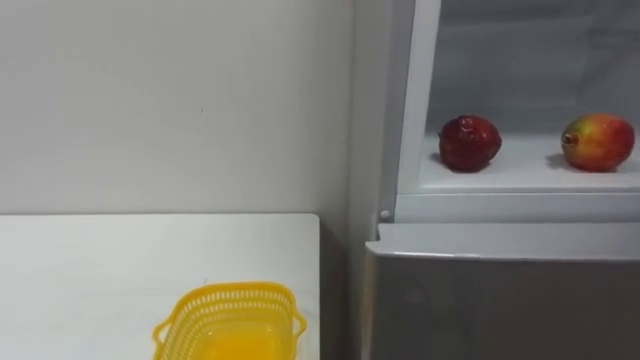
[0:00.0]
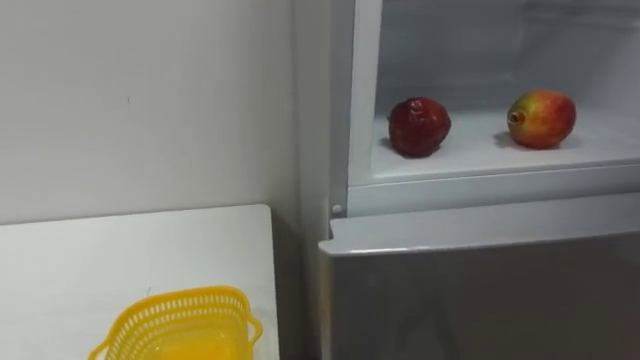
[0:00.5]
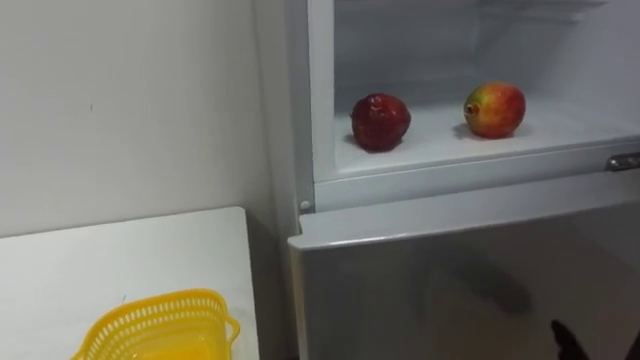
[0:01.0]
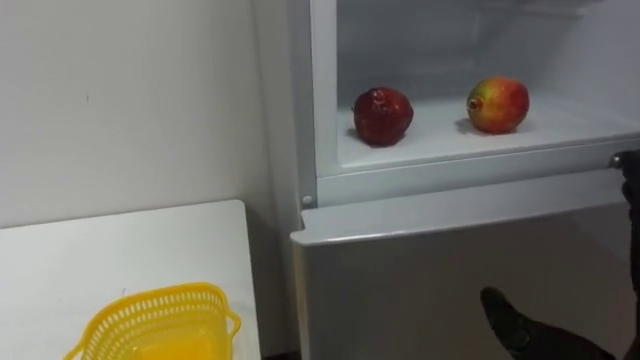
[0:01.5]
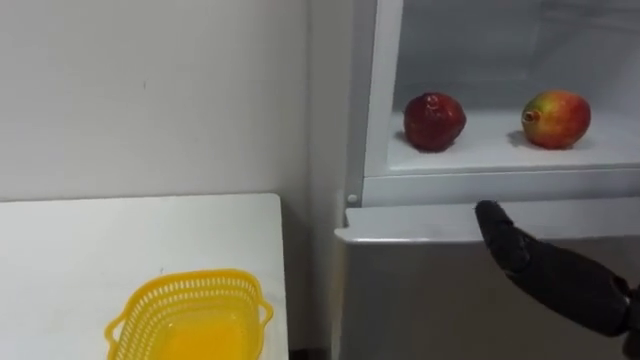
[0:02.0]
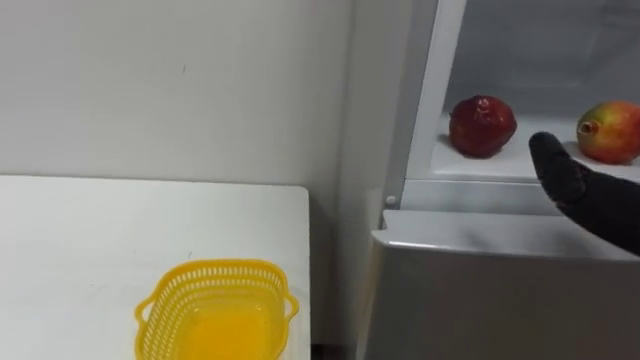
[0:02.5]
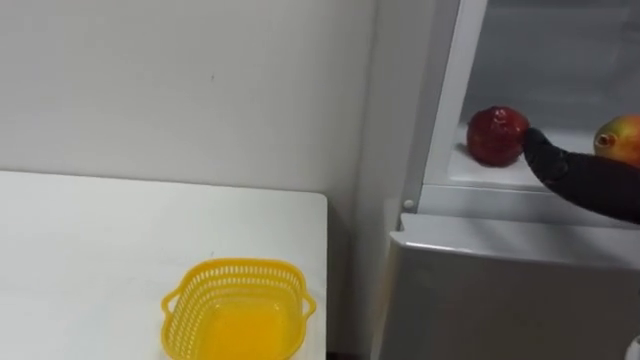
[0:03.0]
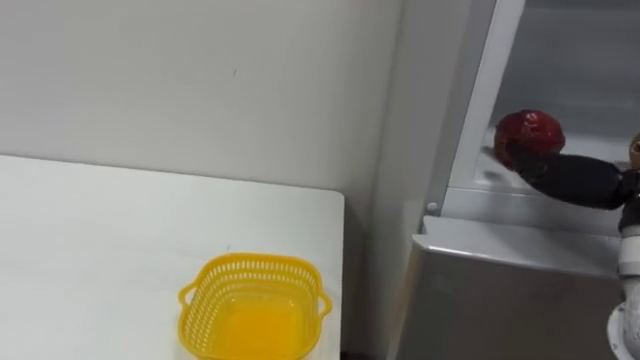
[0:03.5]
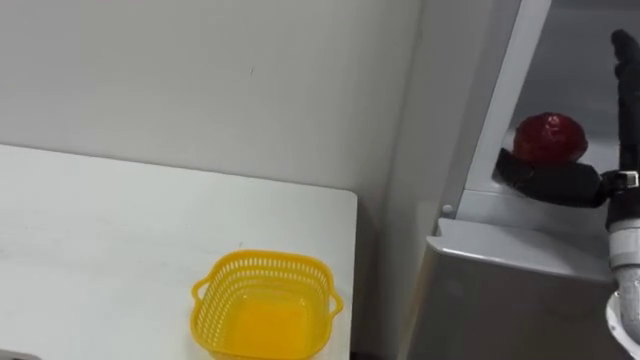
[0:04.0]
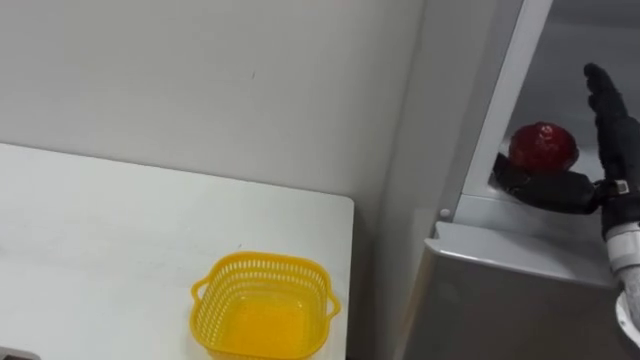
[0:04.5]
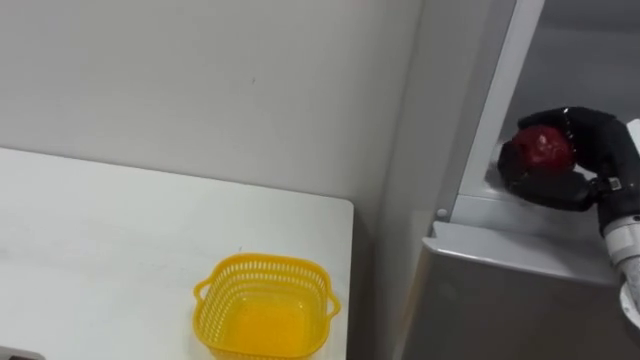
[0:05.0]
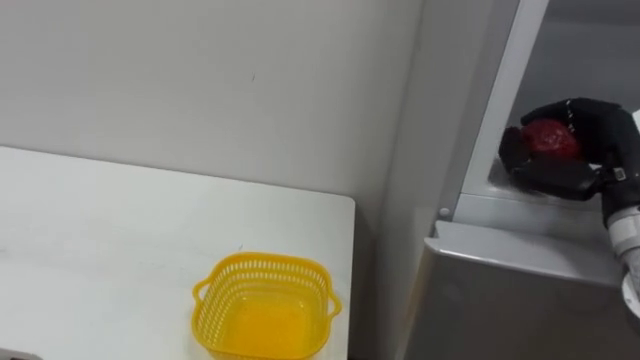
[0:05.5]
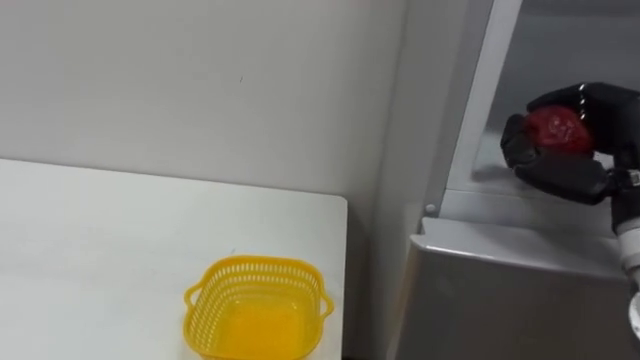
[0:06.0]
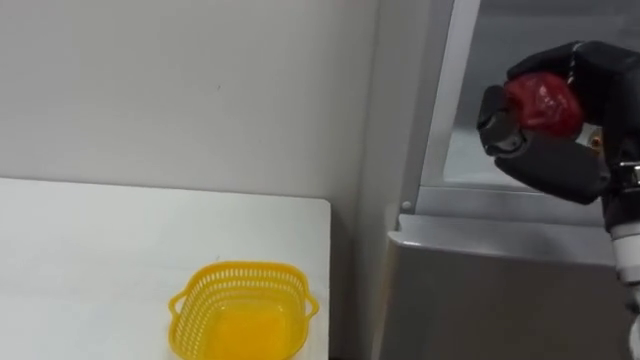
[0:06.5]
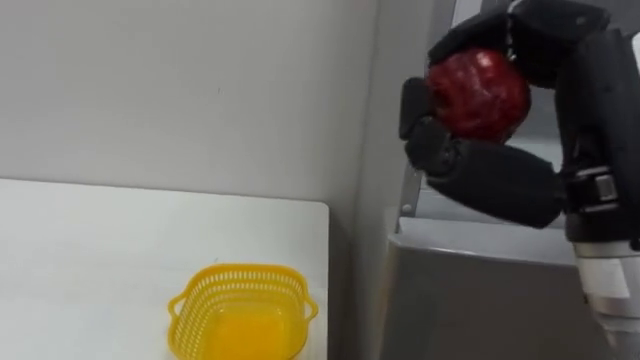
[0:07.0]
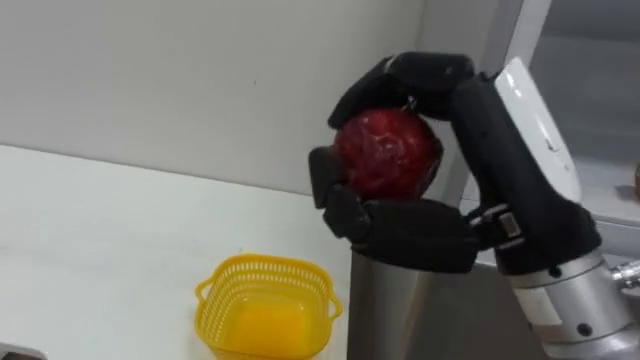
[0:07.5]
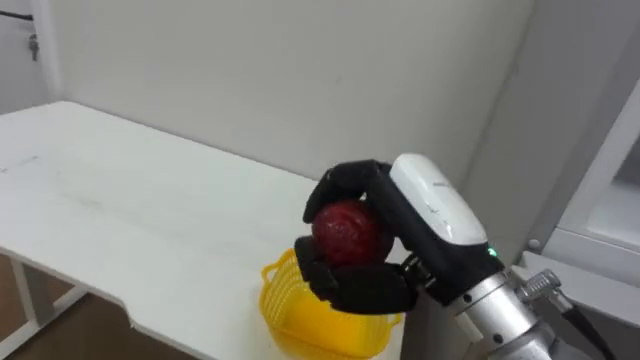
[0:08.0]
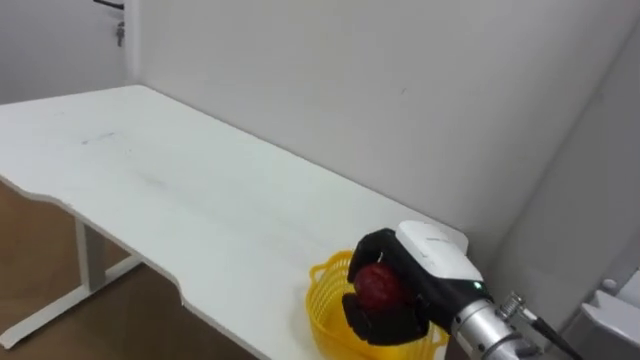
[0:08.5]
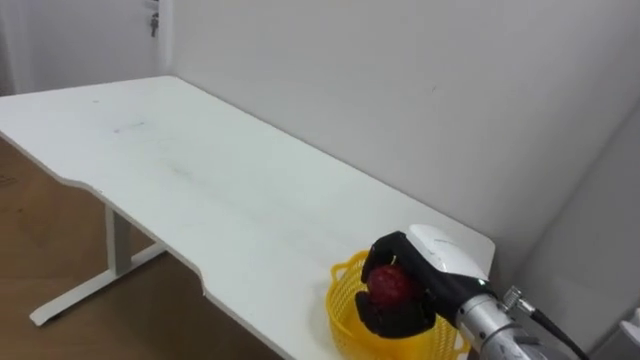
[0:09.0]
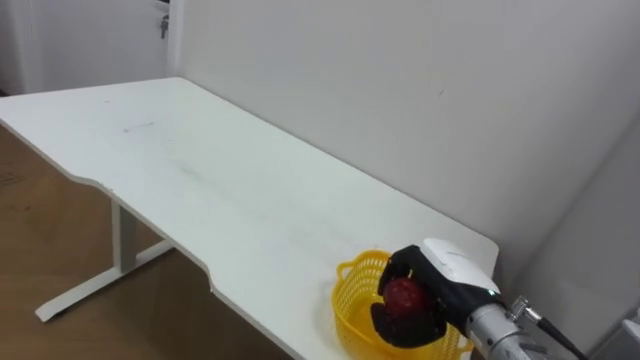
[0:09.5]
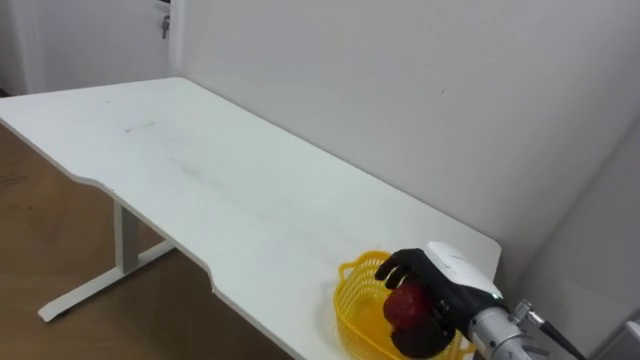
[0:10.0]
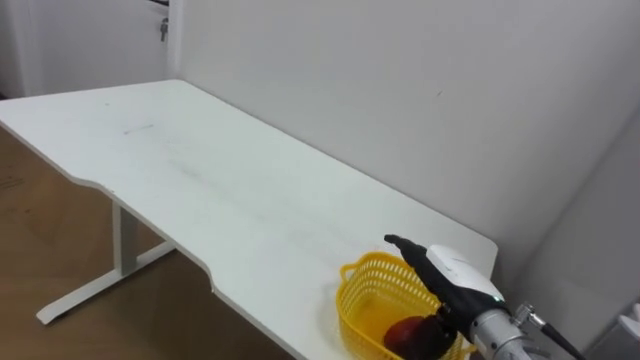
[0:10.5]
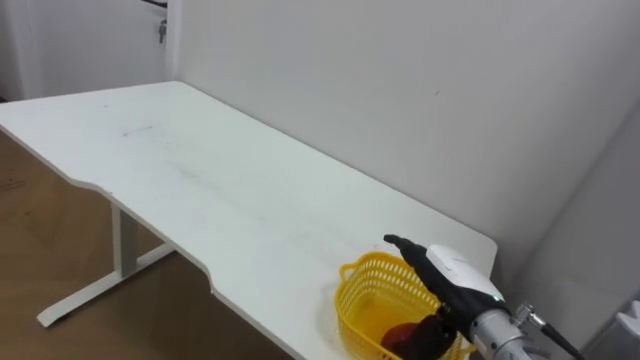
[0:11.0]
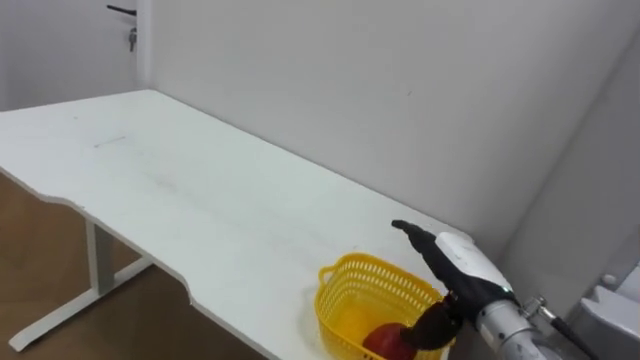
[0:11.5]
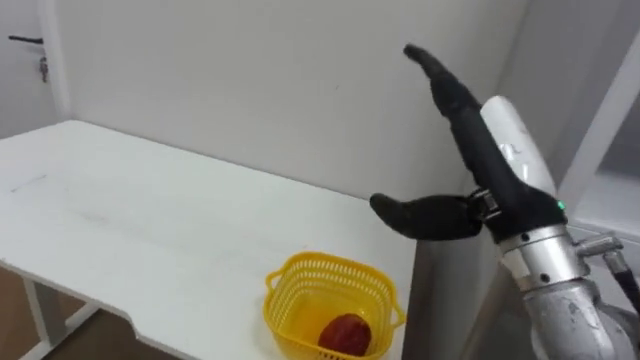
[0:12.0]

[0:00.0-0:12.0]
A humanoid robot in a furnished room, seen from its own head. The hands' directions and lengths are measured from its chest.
Task of the whole recording: Open the refrigerator door, take out the apple and the pomegranate, place them in the fruit basket on the left, and close the refrigerator door.
0:04.0 to 0:06.0: The right hand closes.
0:06.0 to 0:08.0: The right hand heads to the left, covering about 20 cm.
0:08.0 to 0:10.0: The right hand is displaced downward and forward by some 20 cm.
0:10.0 to 0:12.0: The right hand heads upward, covering roughly 20 cm, and opens.

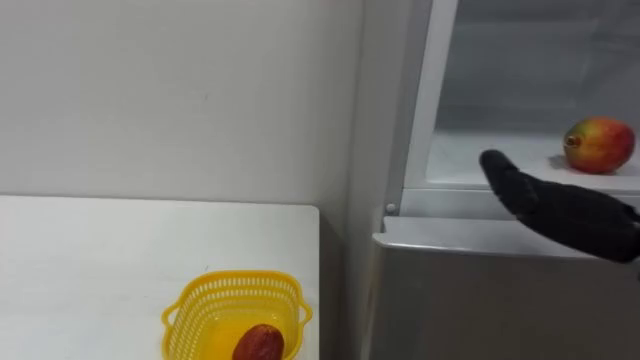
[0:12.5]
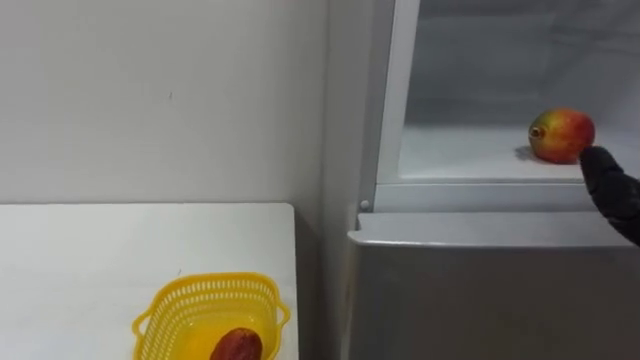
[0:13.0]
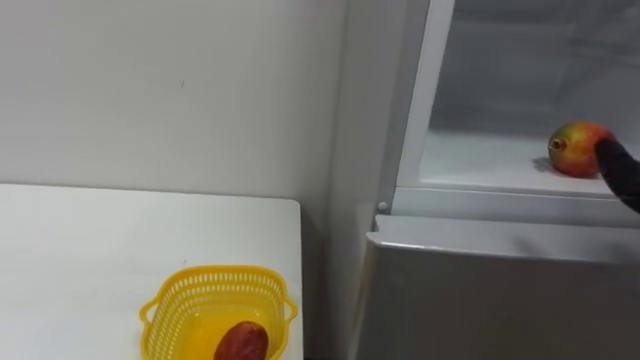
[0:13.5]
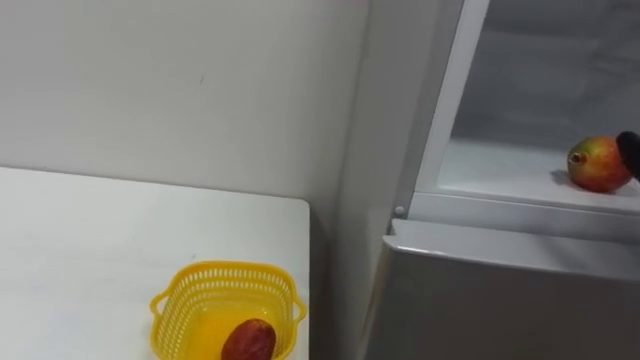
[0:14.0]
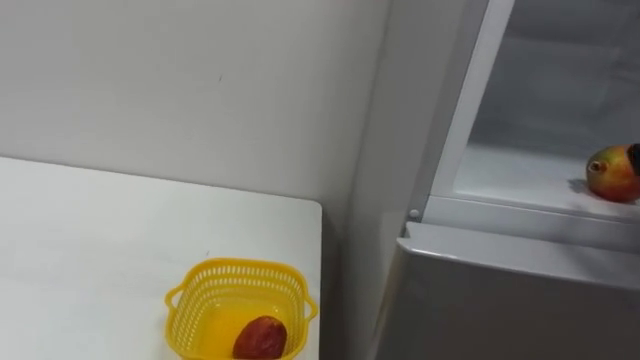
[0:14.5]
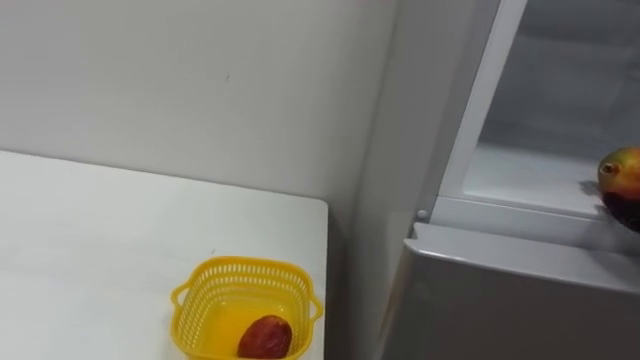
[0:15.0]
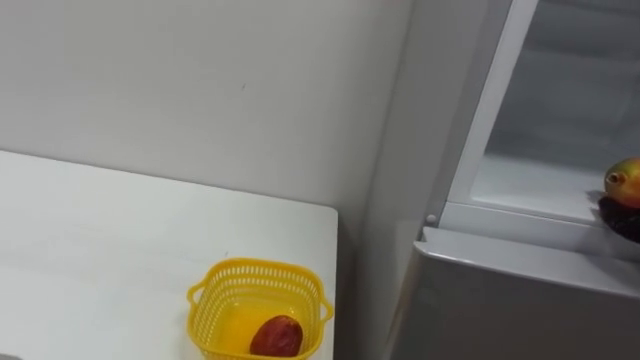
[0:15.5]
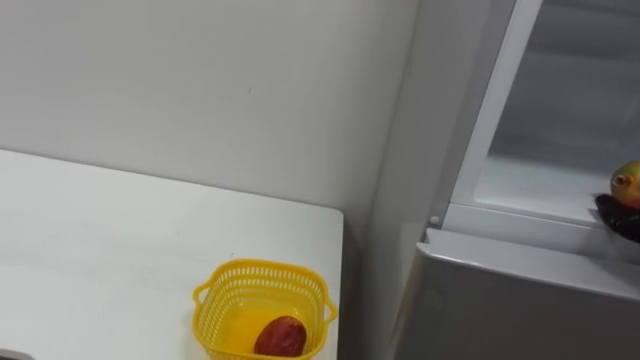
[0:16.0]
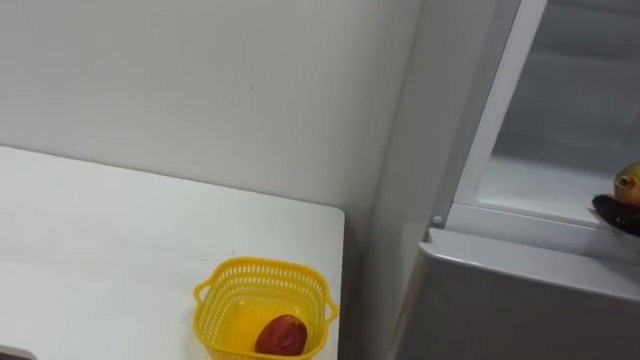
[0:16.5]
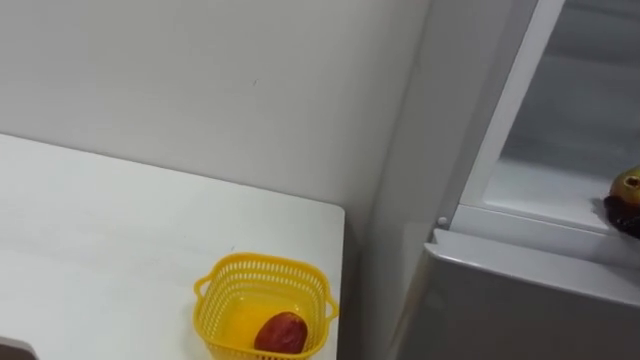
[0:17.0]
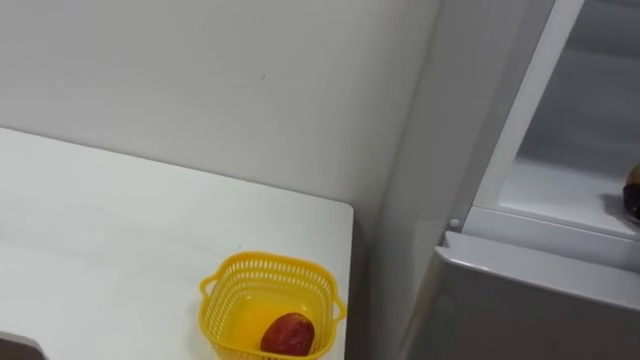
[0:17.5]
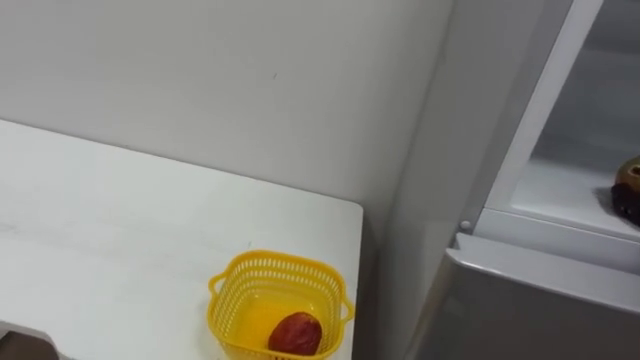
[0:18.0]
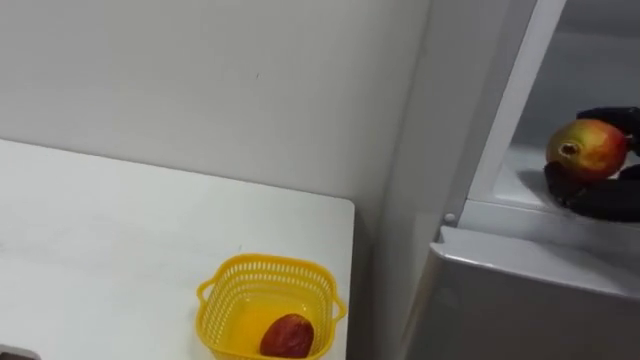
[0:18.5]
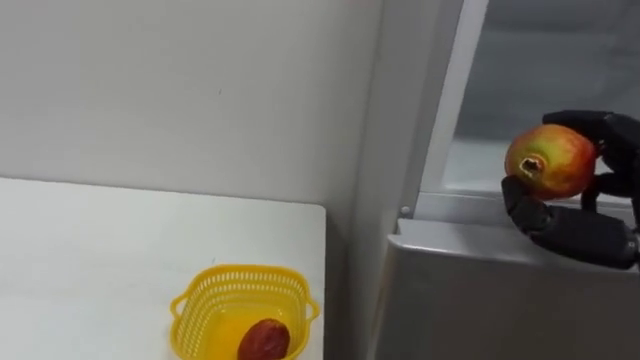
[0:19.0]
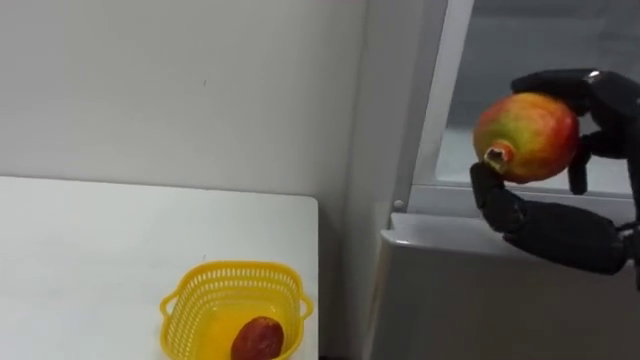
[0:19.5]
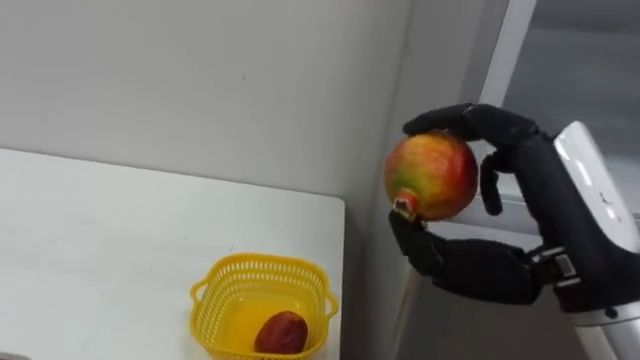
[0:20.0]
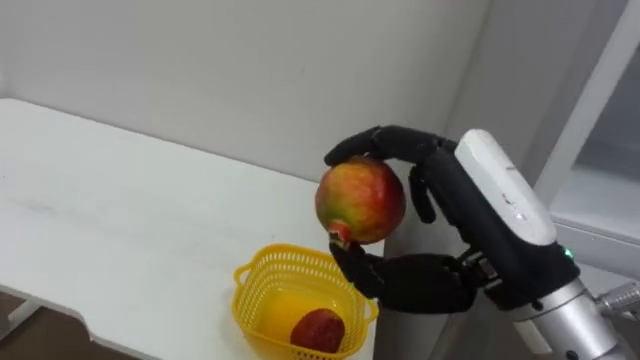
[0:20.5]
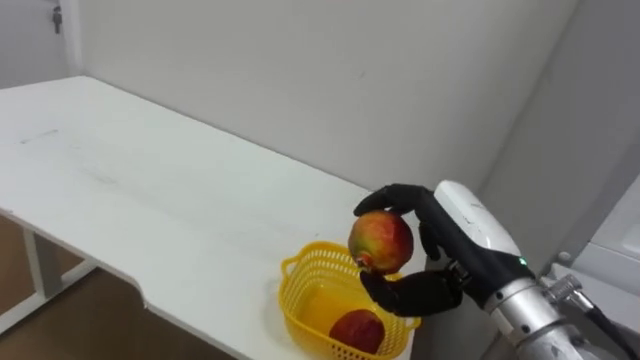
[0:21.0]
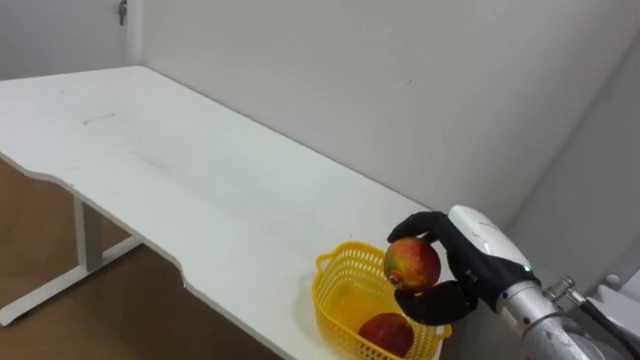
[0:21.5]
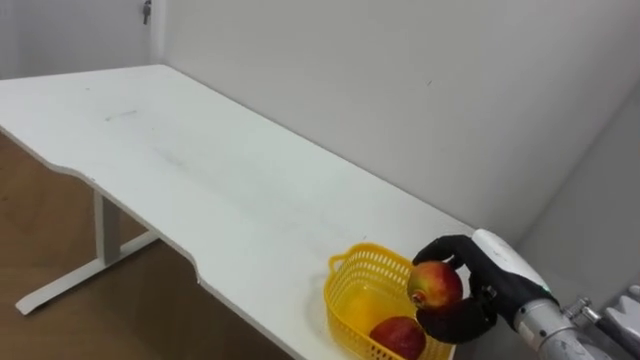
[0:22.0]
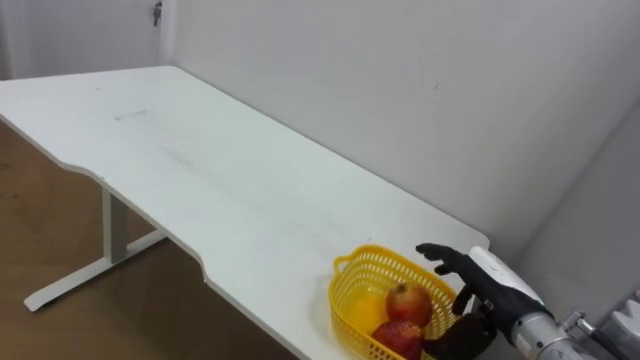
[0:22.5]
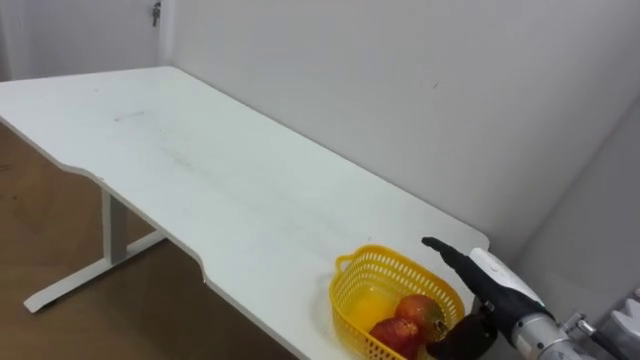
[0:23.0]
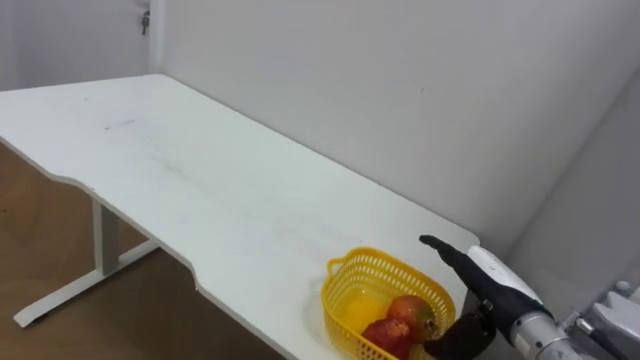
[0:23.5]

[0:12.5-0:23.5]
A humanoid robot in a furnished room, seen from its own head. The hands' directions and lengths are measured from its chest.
Task of the whole recording: Open the refrigerator door, take out the apple and the pomegranate, place them in the fruit basket on the left, and close the refrigerator door.
0:20.0 to 0:21.5: The right hand shifts roughly 15 cm downward and forward.
0:21.5 to 0:23.5: The right hand heads downward, covering approximately 5 cm, and opens.
